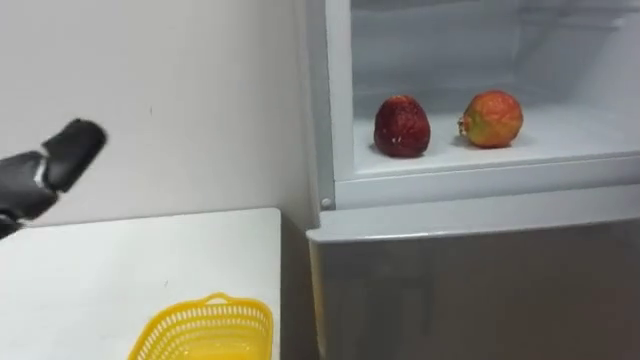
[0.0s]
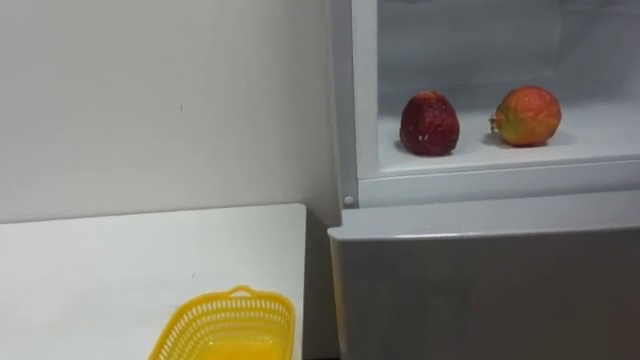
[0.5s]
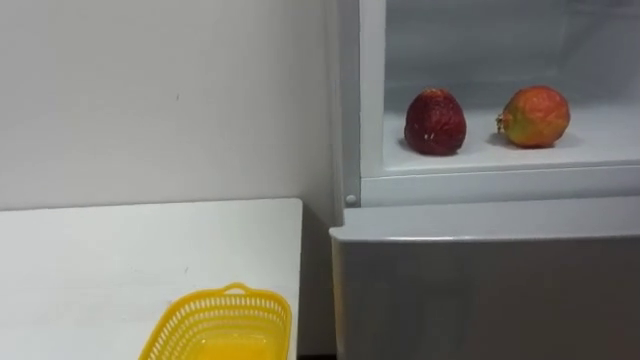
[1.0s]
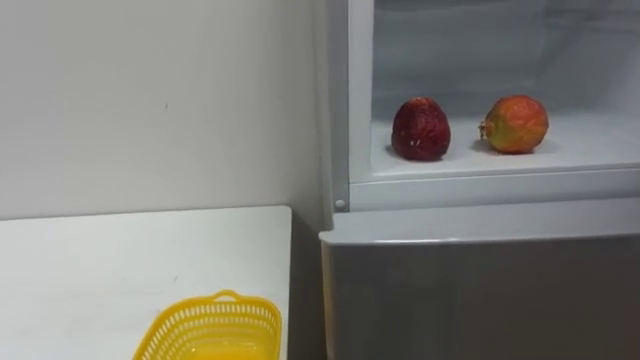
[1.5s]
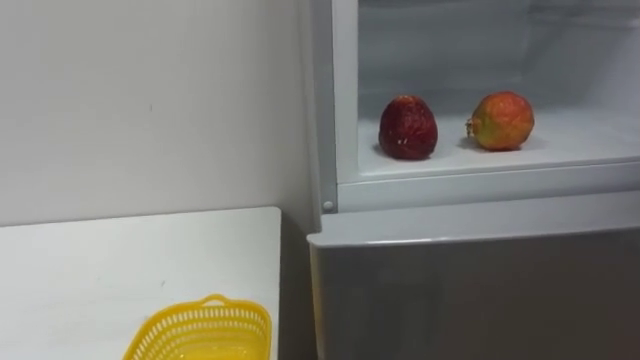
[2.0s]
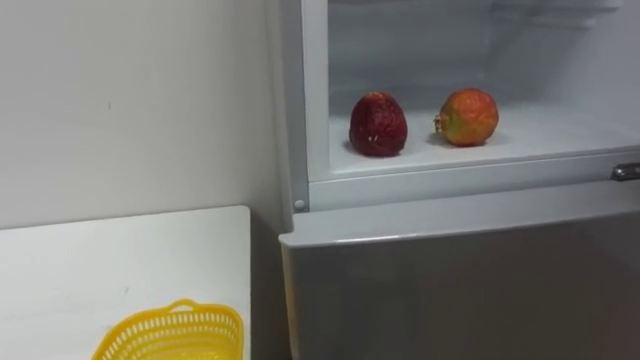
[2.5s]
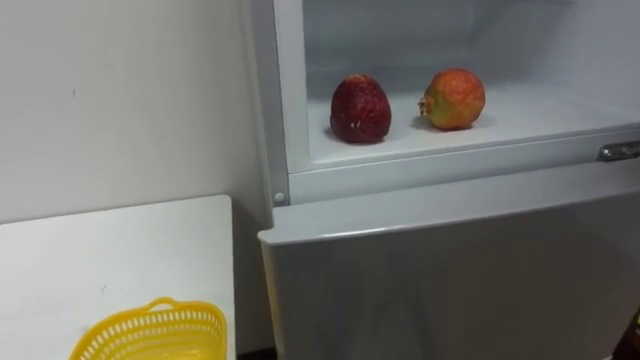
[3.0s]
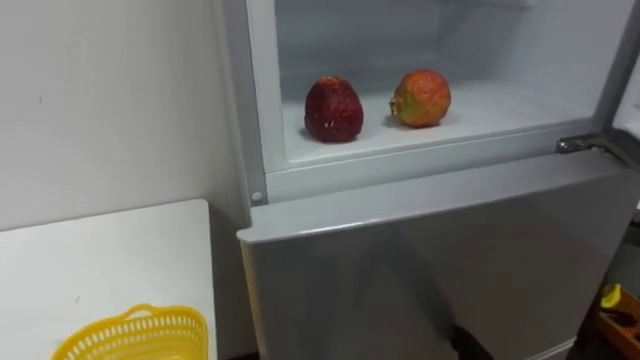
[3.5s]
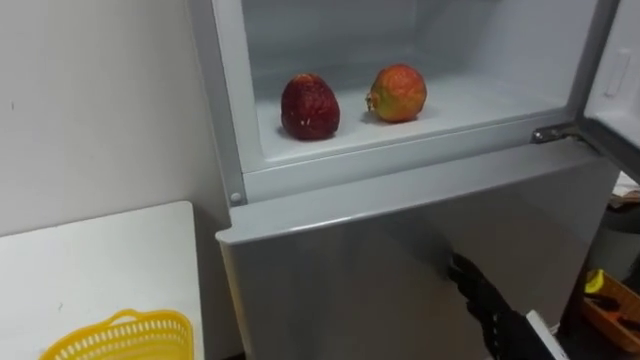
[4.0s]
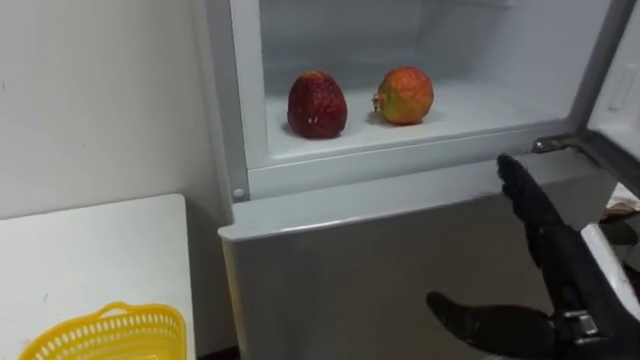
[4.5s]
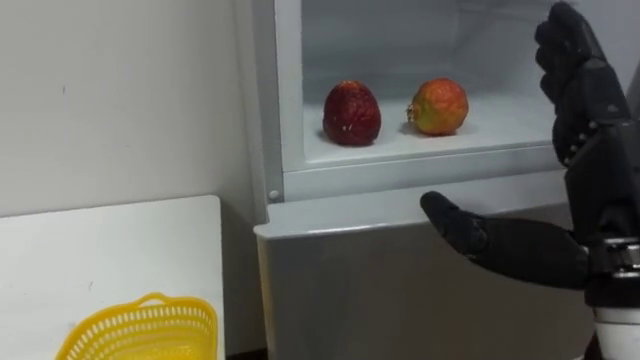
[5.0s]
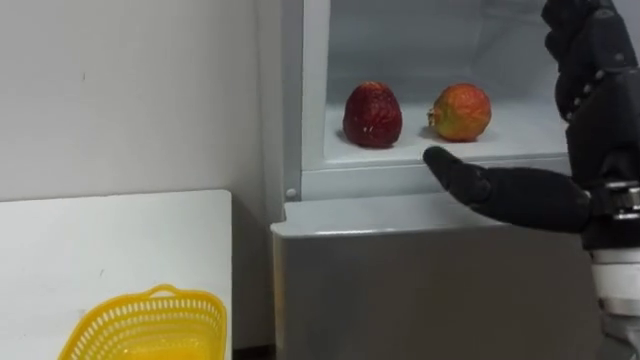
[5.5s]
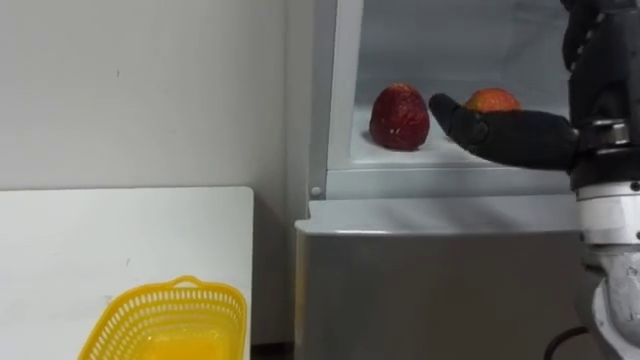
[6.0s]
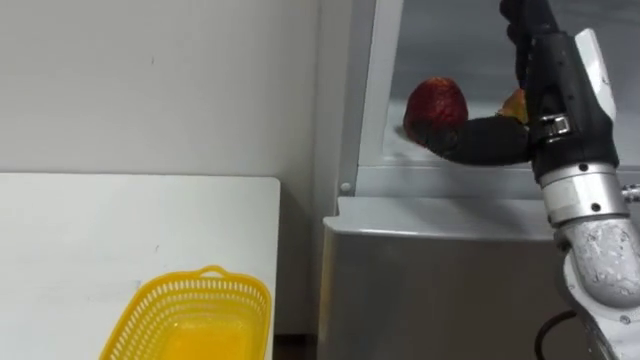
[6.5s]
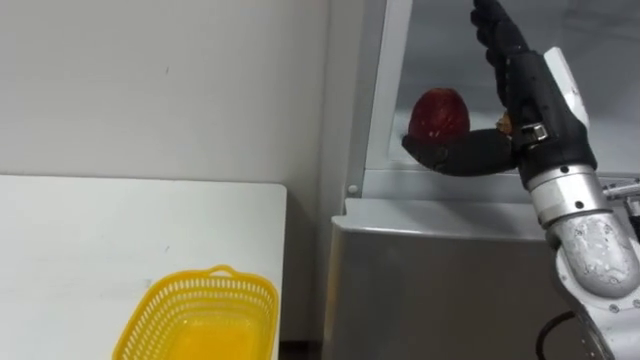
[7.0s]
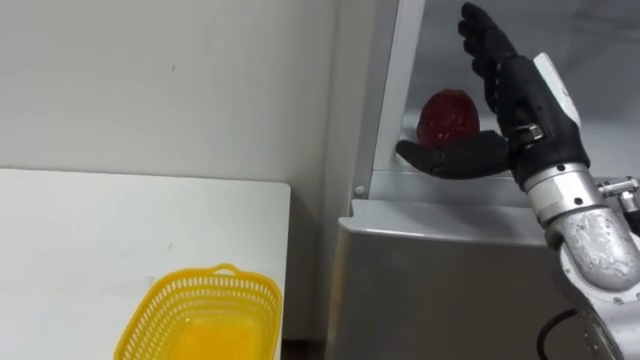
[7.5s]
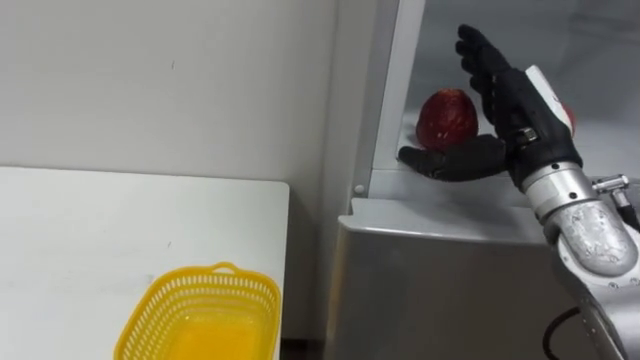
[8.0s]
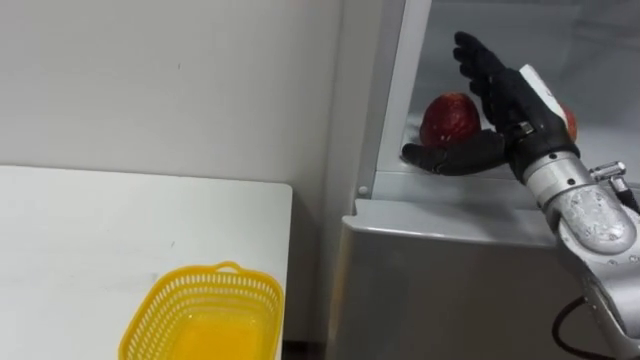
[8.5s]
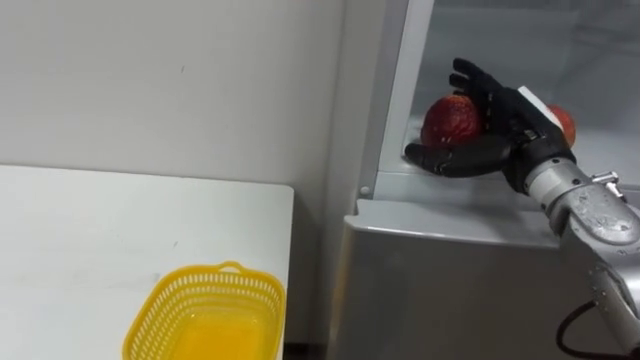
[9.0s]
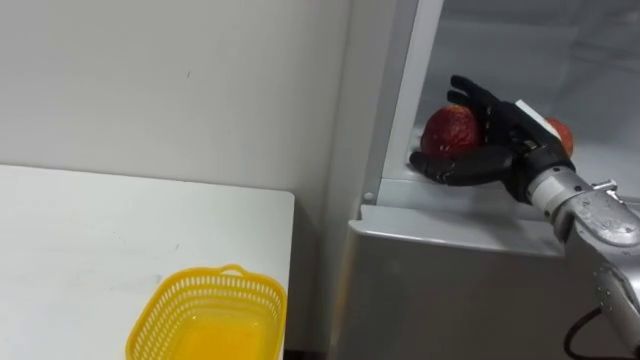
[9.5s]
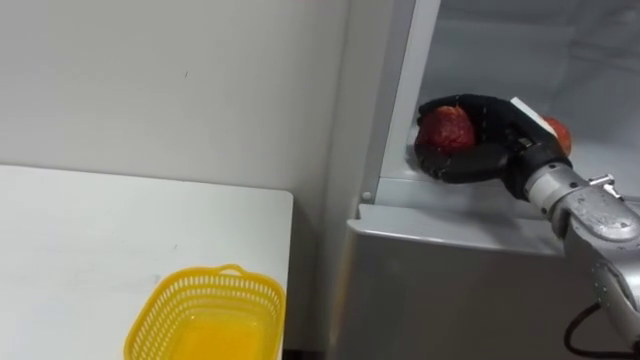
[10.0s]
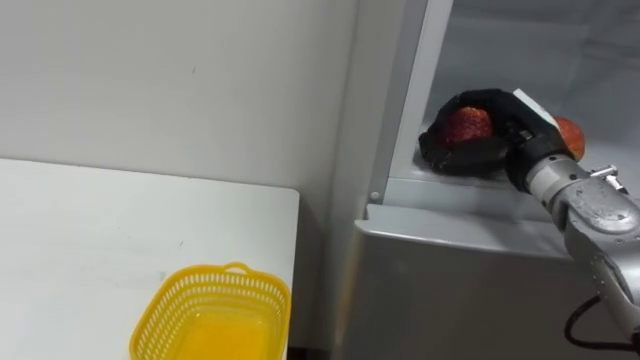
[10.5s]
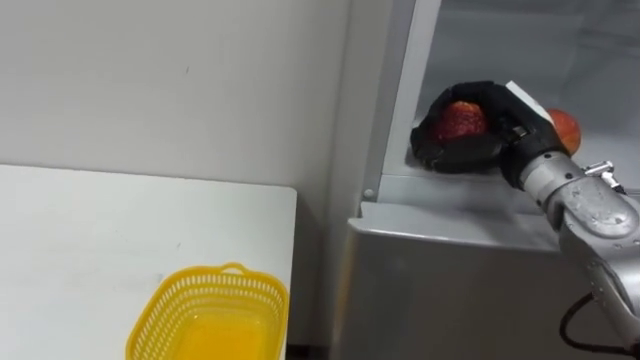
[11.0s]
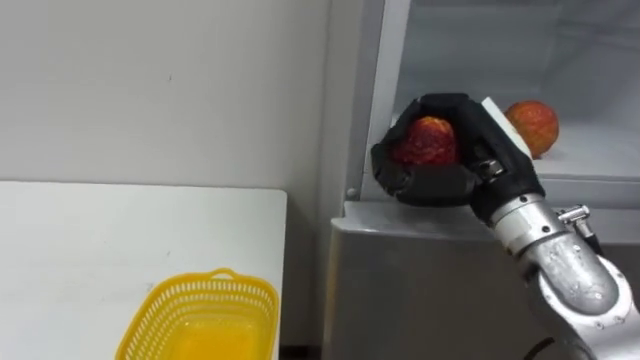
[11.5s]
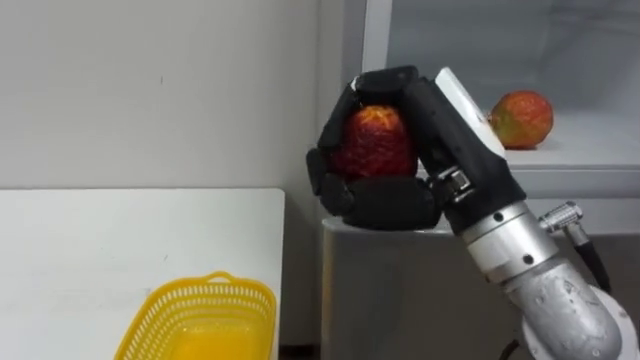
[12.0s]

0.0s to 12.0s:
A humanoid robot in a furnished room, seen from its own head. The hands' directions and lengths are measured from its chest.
Task of the whole recording: Open the refrigerator door, take out the apple and the pomegranate, place them in the fruit basket on the left, and close the refrigerator door.
6.0s to 8.0s: The right hand travels forward and downward by some 10 cm.
8.0s to 10.0s: The right hand moves about 5 cm, and closes its fingers.
10.0s to 12.0s: The right hand goes about 20 cm backward, to the left and upward.

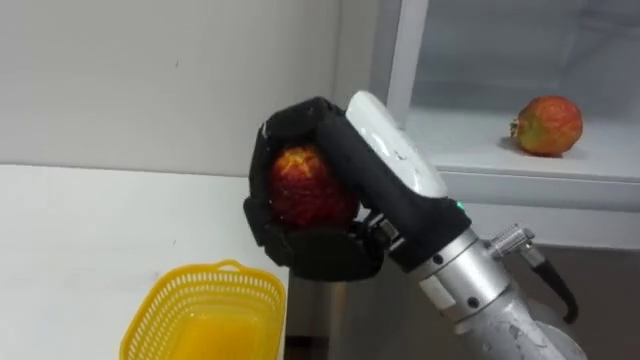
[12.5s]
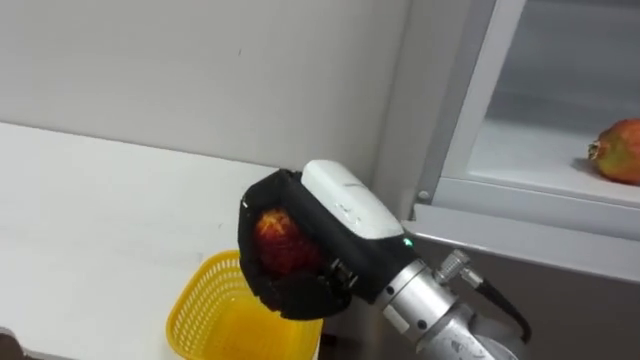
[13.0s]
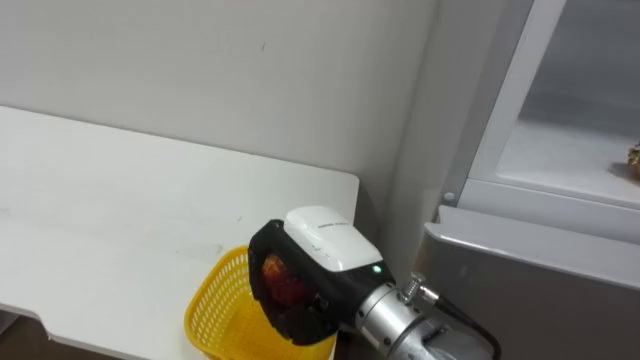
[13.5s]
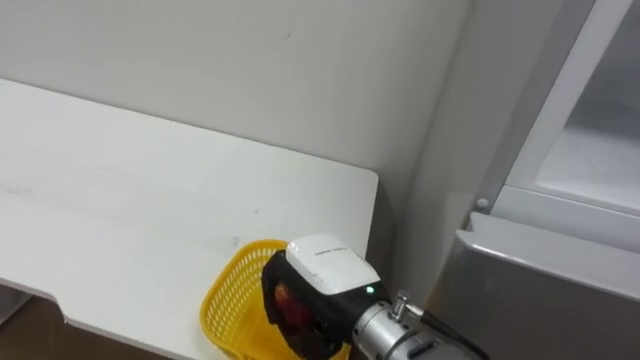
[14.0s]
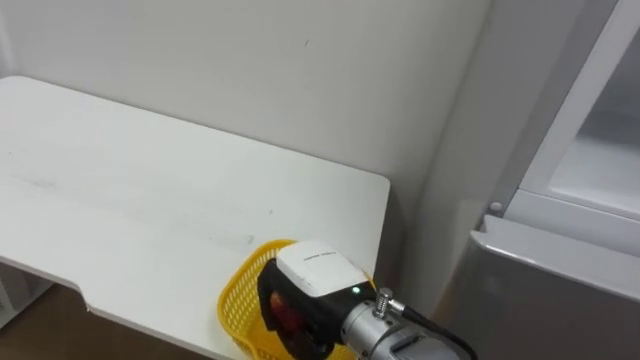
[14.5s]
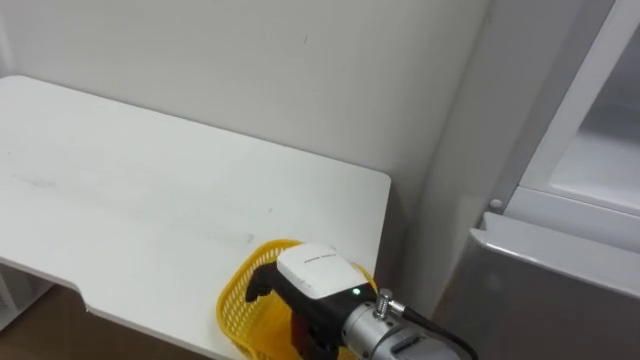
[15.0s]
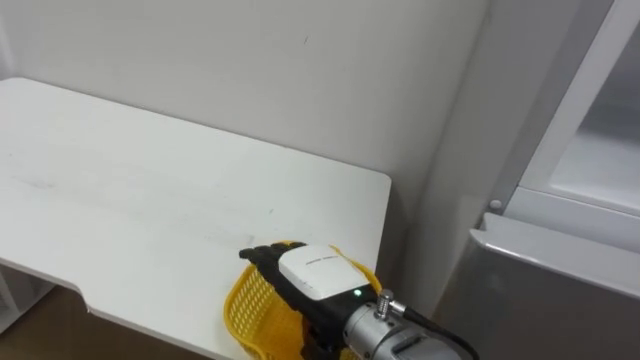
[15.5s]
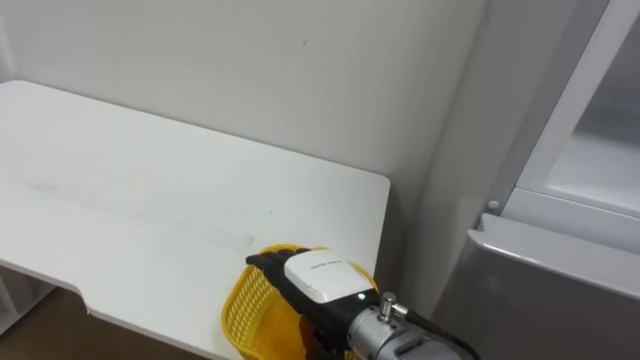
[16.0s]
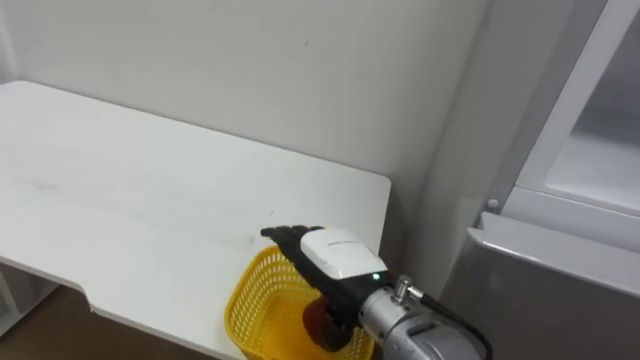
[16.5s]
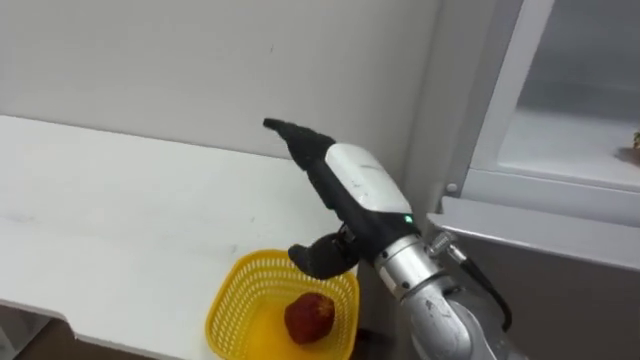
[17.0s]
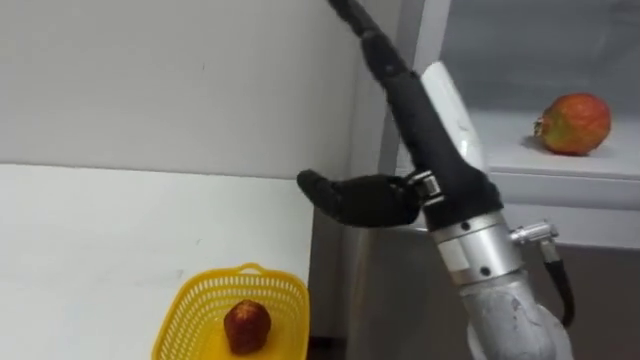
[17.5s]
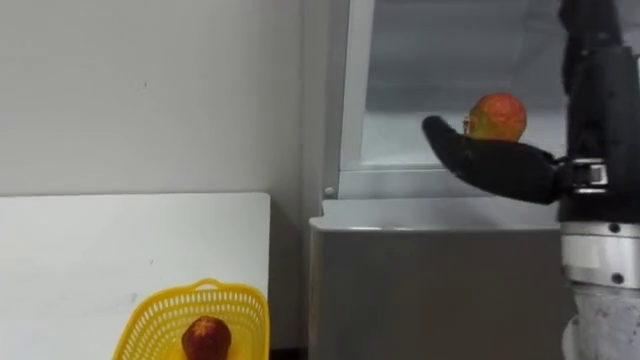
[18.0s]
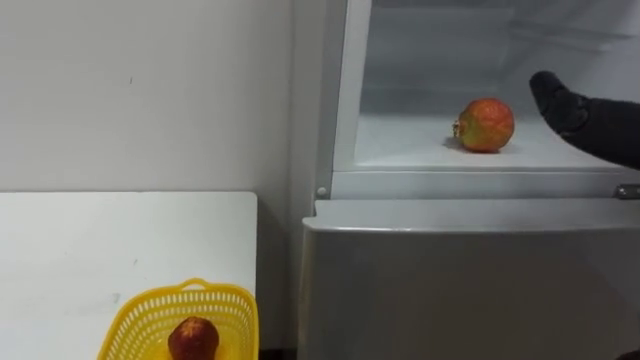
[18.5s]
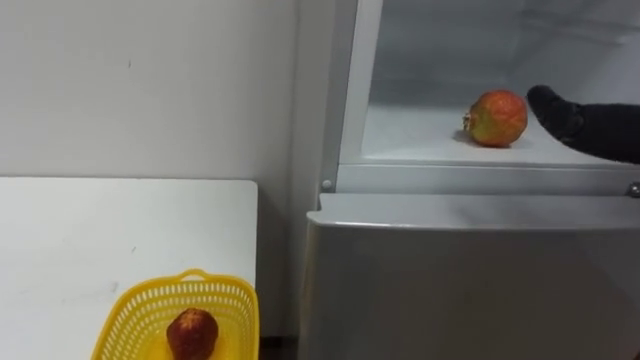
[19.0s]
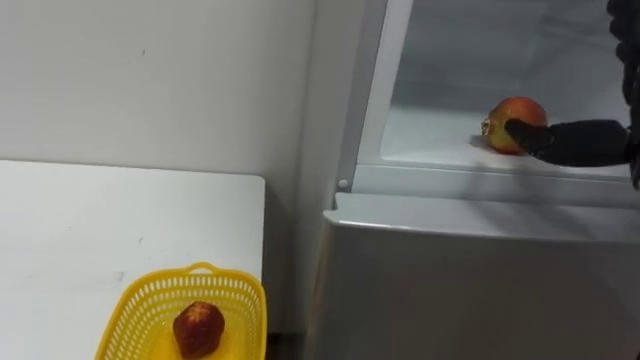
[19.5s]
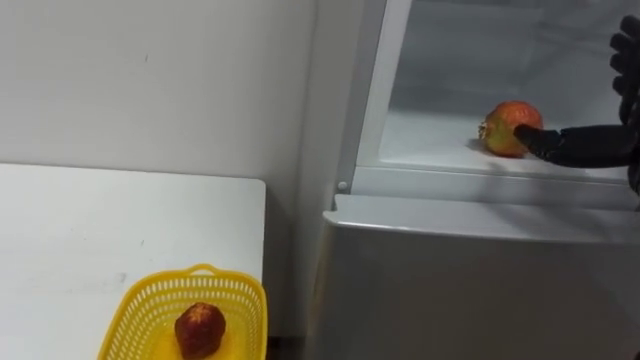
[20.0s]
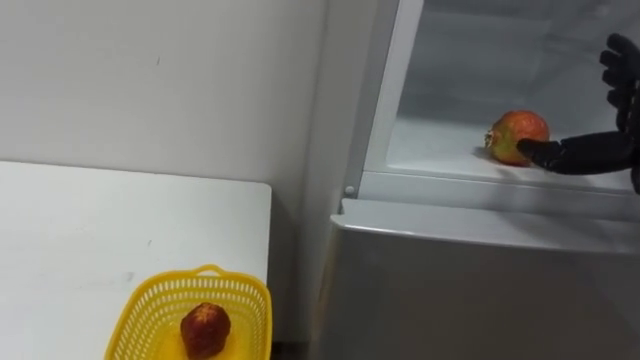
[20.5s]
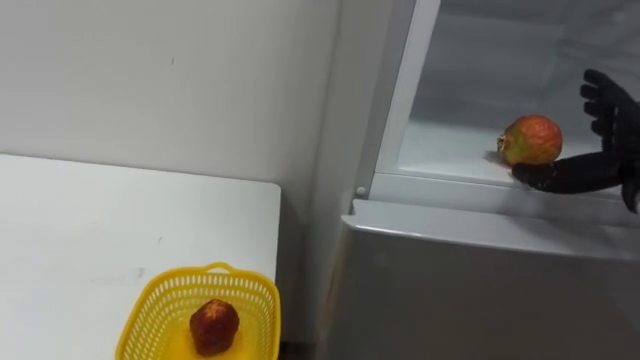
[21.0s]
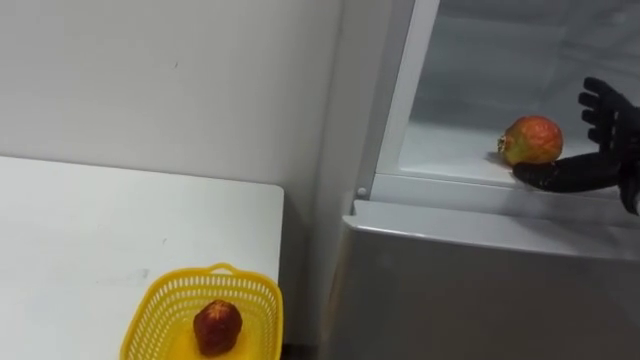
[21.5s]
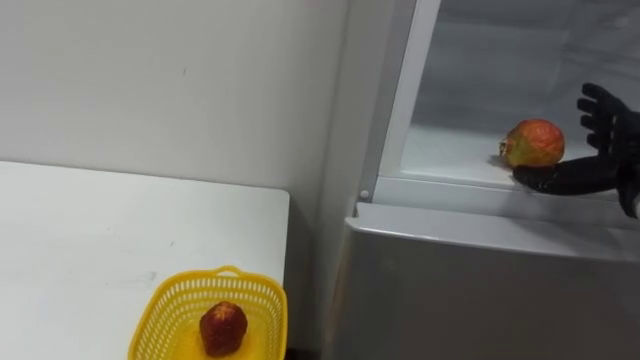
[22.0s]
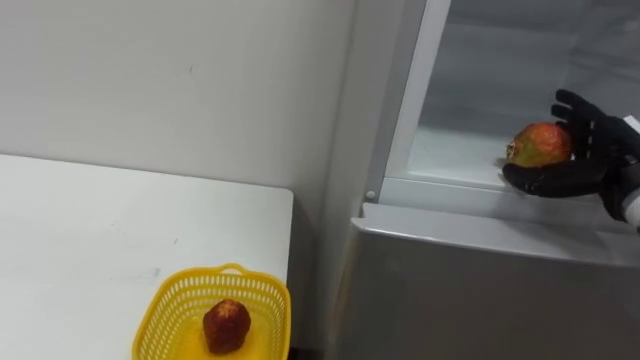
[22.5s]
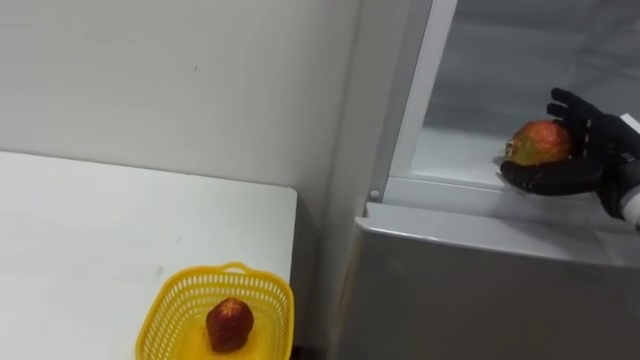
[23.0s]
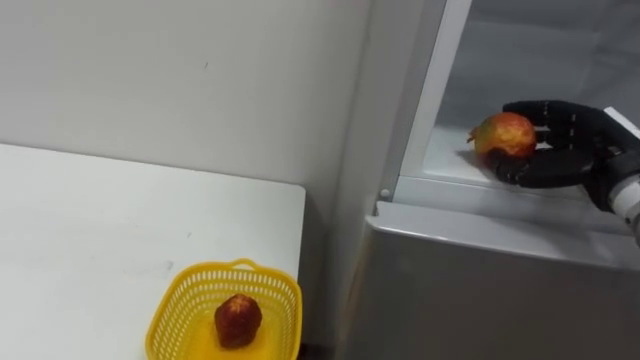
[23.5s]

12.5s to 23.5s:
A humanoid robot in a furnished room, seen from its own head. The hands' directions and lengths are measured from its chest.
Task of the whole recording: Open the refrigerator door, take out the apple and the pomegranate, place them in the fruit basket on the left, and close the refrigerator door.
12.5s to 14.5s: The right hand moves downward, approximately 15 cm.
14.5s to 16.0s: The right hand opens up.
16.0s to 18.0s: The right hand heads upward and to the right, covering about 30 cm.
21.5s to 23.5s: The right hand closes.
